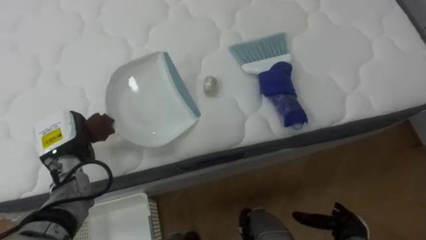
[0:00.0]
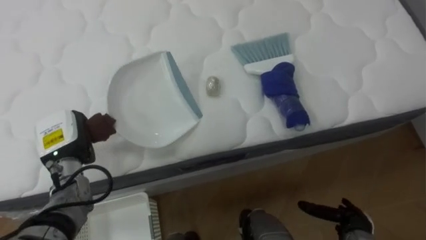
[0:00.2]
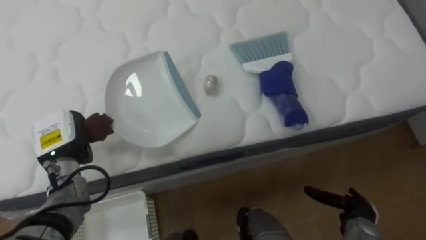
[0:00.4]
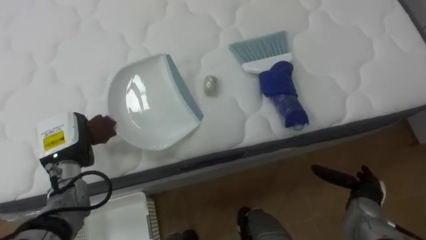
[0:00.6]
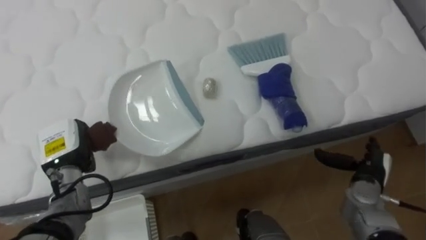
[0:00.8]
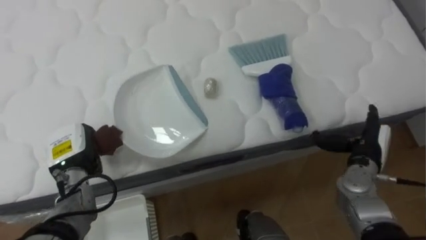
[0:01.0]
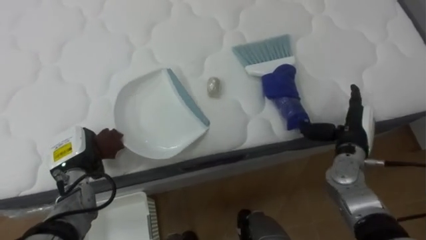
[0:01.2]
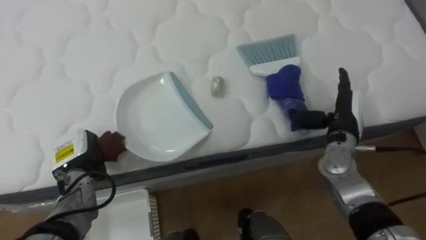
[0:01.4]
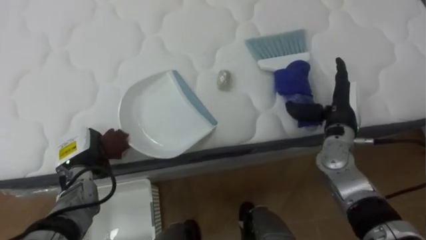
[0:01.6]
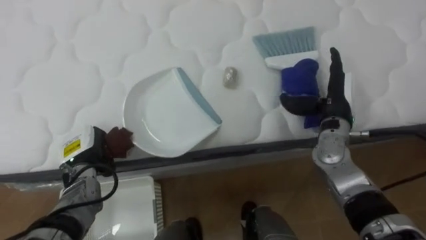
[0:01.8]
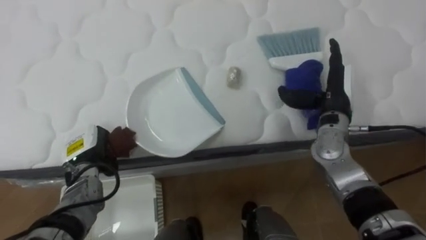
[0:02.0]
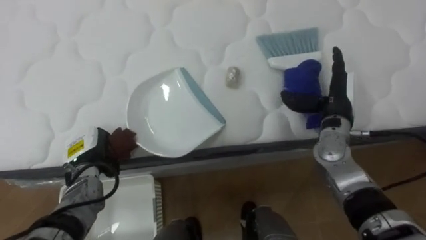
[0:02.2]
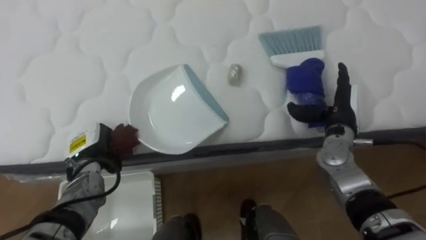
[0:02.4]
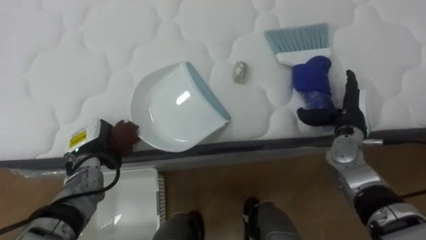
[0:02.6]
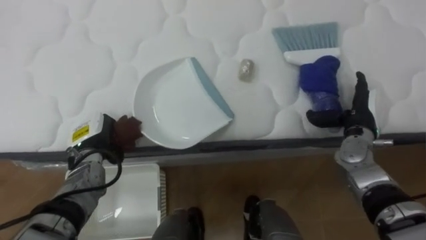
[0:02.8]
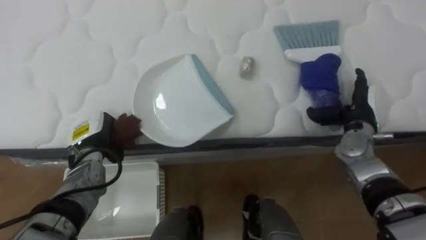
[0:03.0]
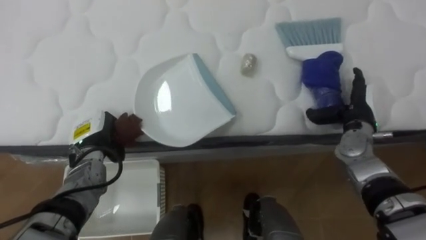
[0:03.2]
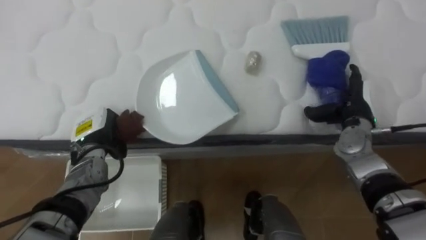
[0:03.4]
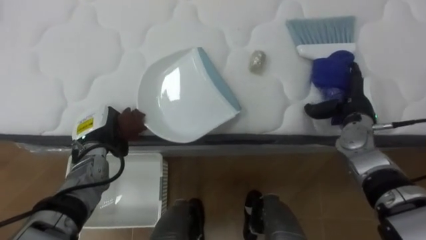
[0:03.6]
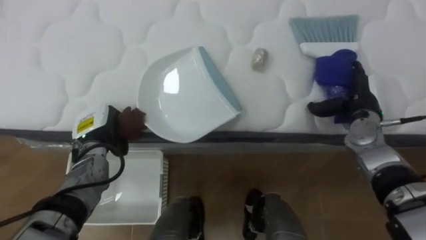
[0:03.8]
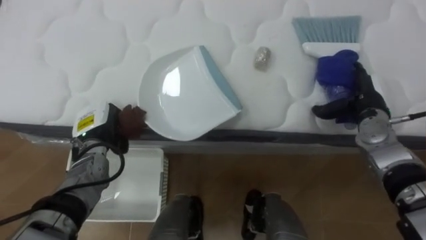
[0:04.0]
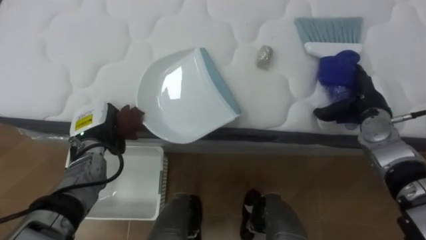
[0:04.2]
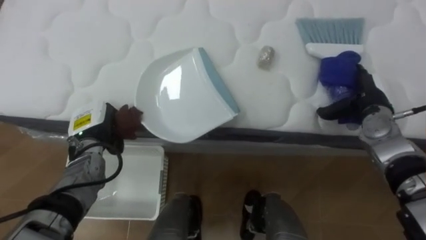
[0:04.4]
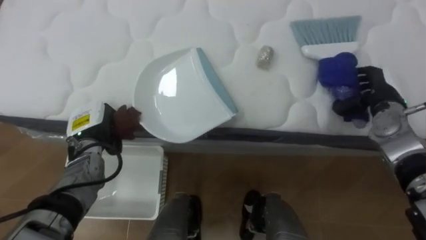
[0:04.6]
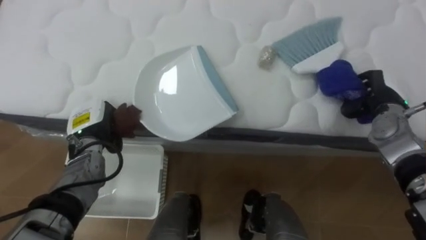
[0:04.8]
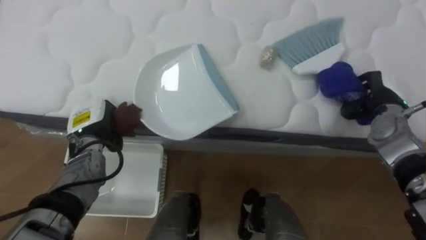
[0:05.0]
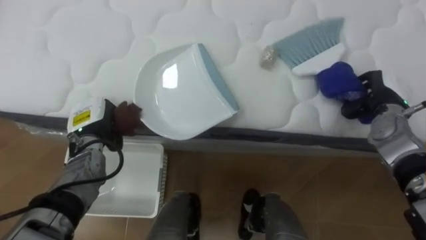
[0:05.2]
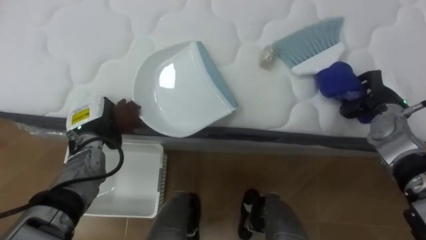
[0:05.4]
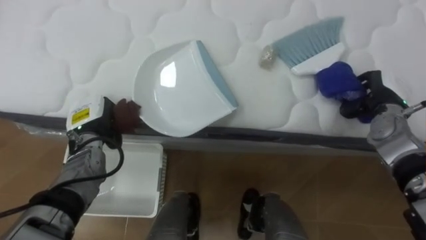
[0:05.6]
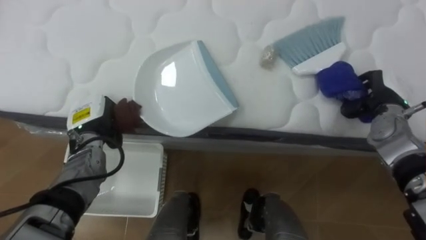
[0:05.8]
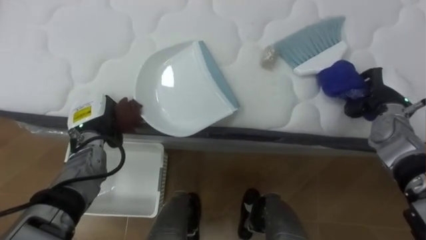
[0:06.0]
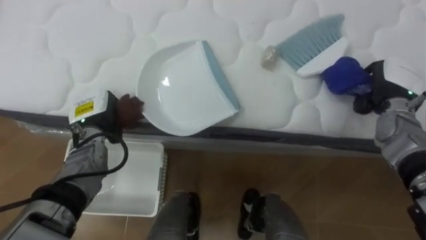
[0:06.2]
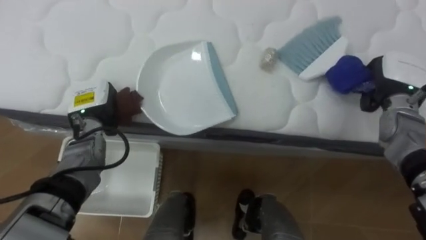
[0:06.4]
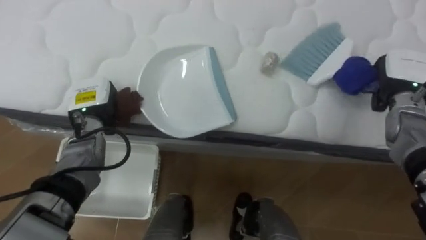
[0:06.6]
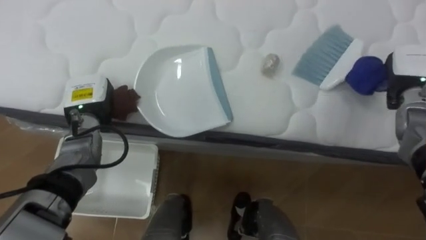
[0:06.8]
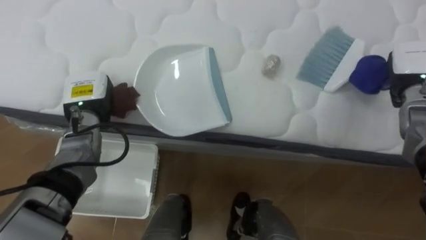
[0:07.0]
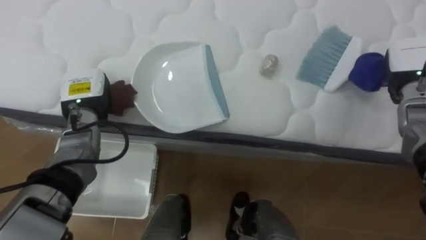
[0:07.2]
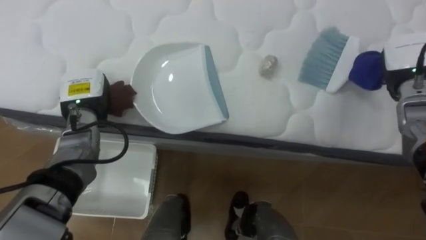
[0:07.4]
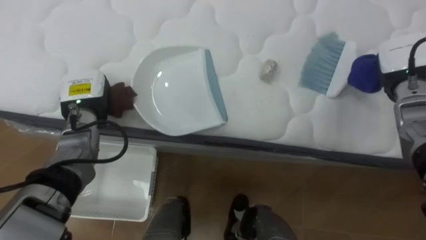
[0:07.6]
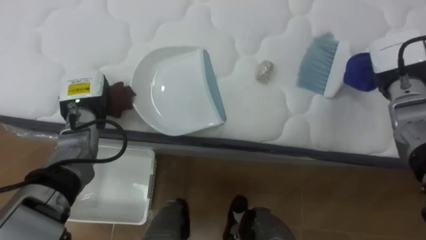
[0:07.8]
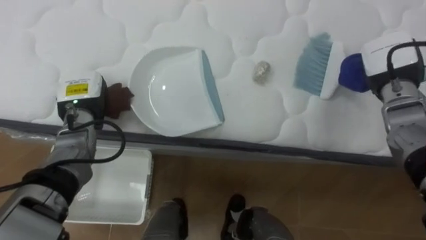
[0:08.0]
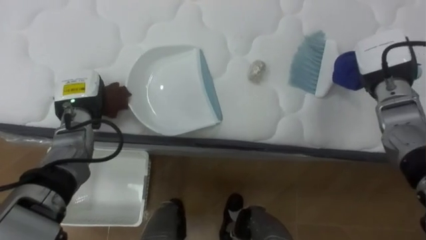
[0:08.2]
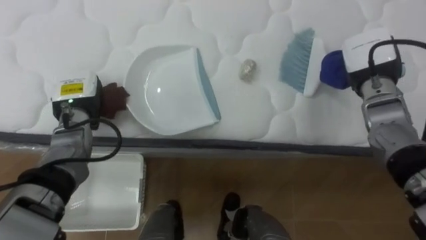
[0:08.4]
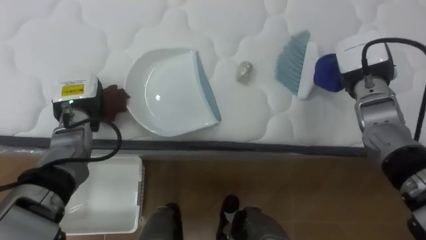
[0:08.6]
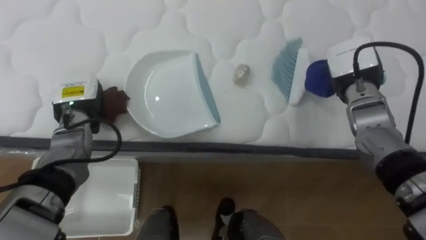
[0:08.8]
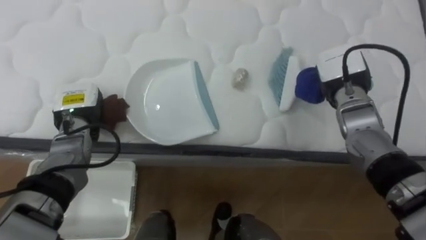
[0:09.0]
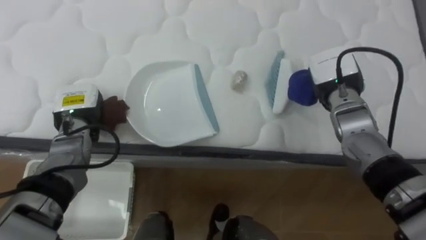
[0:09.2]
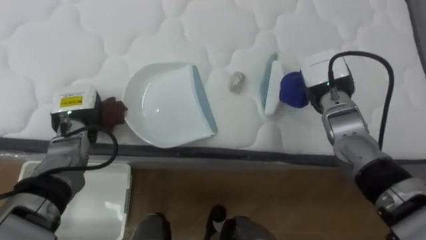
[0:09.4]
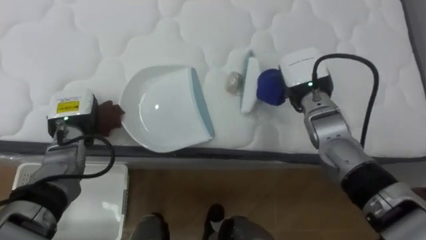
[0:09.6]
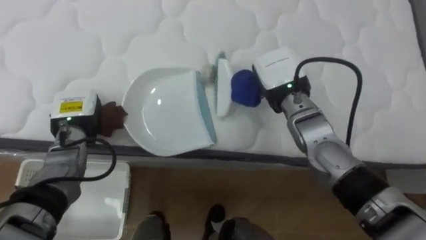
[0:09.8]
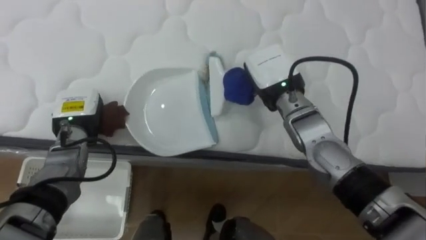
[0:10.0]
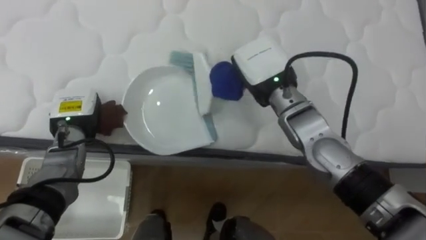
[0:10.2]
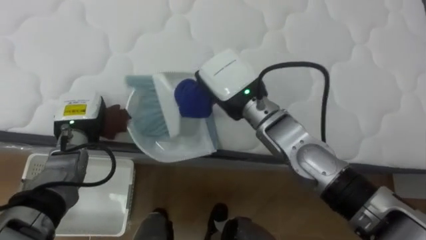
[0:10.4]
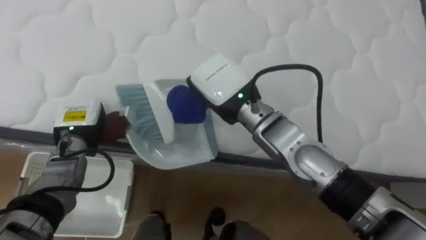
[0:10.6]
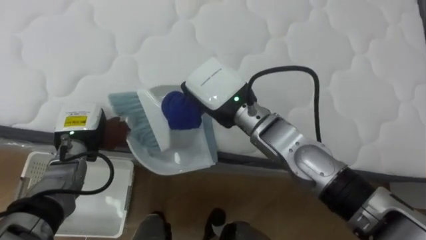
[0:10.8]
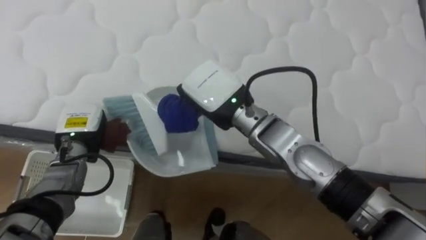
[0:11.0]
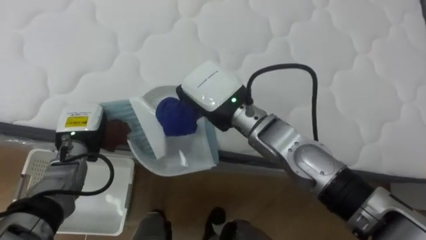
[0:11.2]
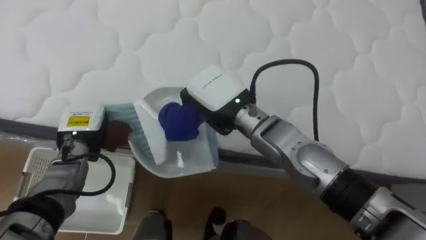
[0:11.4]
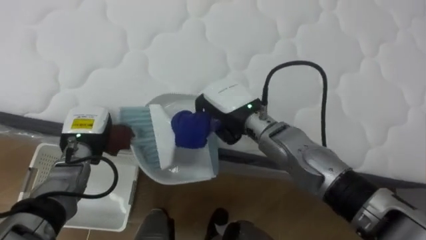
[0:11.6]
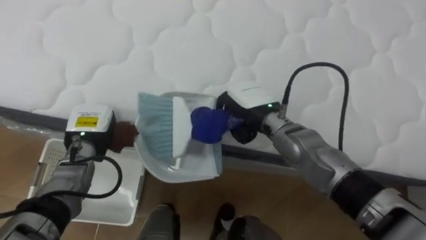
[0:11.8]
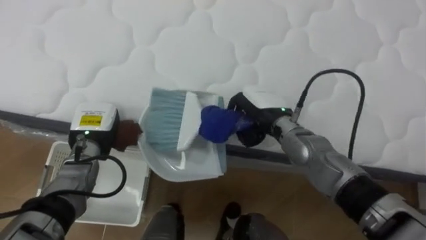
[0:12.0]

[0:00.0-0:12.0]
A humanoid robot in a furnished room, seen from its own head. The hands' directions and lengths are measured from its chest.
Task of the whole recording: Pick up the brush on your right and the dustpan on your left. Use the brush to sweep the crumpled paper on the bed into the dustpan, then turn left and empty it into the basket.
0:00.0 to 0:01.6: The right hand shifts roughly 25 cm upward and forward.
0:01.6 to 0:03.0: The right hand ends up some 5 cm from where it was.
0:04.4 to 0:06.0: The right hand closes.
0:06.0 to 0:07.6: The right hand moves upward, about 5 cm, while the left hand moves about 5 cm.
0:07.6 to 0:09.0: The right hand shifts some 10 cm to the left.
0:09.0 to 0:10.4: The right hand shifts about 20 cm to the left.
0:10.4 to 0:12.0: The right hand shifts about 10 cm downward and to the right.

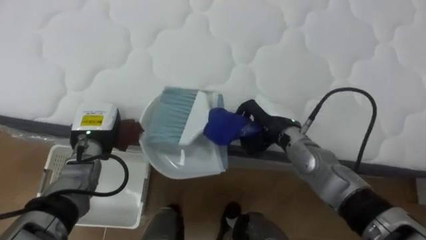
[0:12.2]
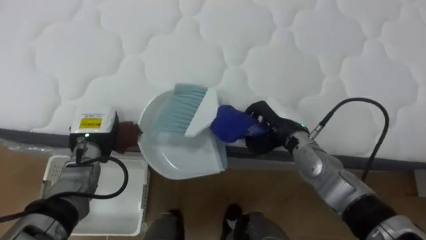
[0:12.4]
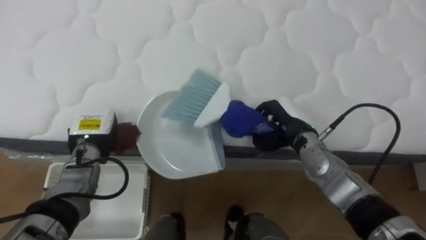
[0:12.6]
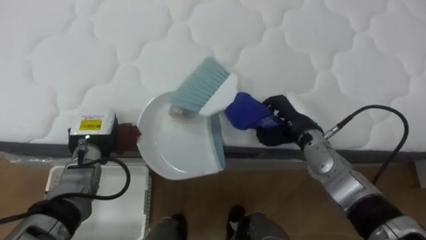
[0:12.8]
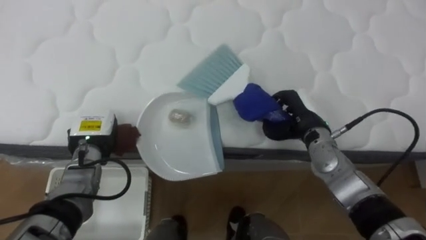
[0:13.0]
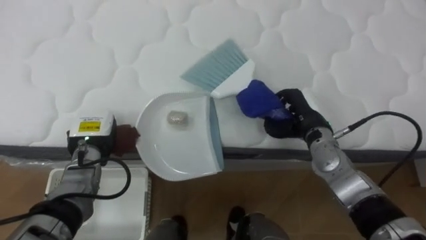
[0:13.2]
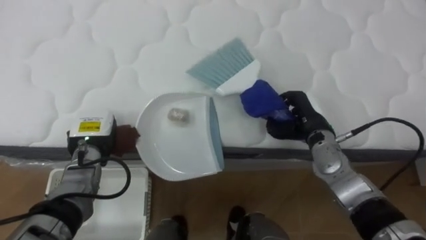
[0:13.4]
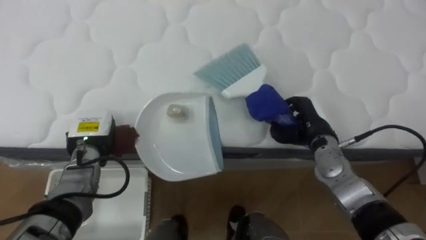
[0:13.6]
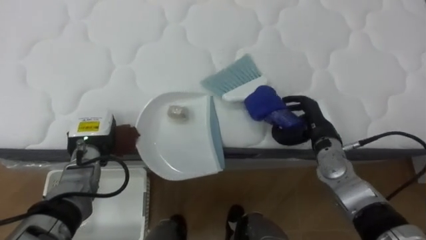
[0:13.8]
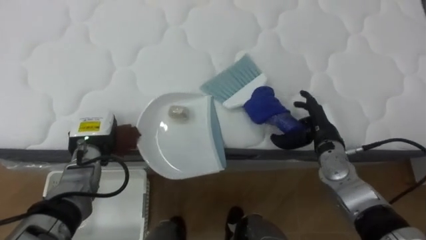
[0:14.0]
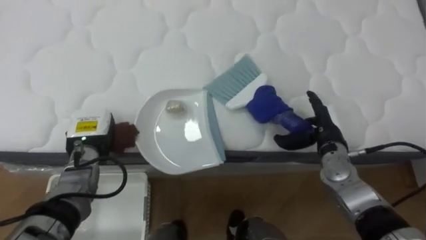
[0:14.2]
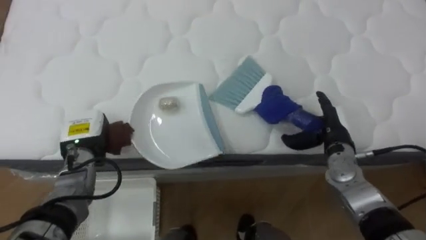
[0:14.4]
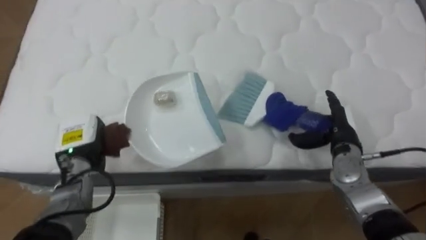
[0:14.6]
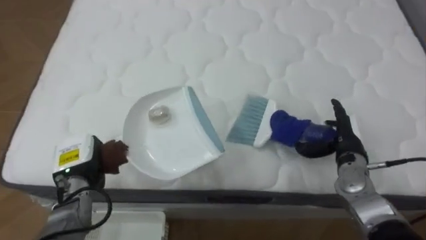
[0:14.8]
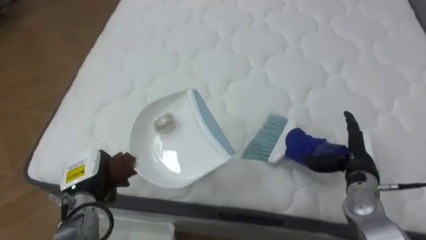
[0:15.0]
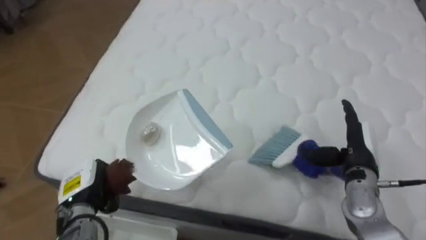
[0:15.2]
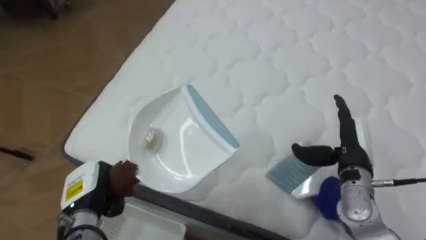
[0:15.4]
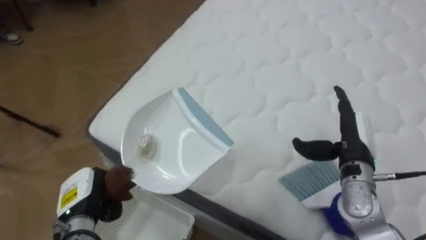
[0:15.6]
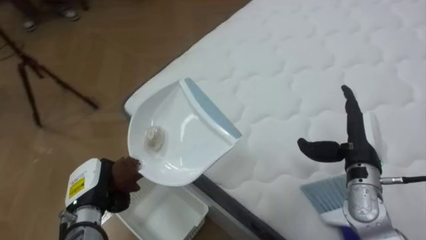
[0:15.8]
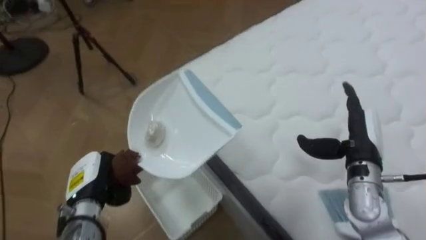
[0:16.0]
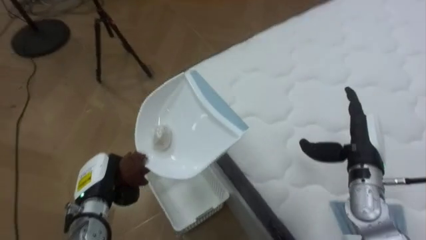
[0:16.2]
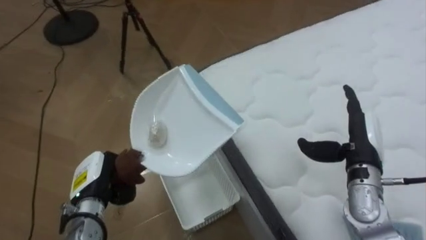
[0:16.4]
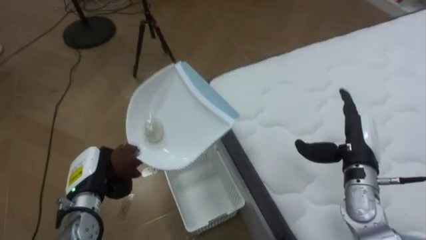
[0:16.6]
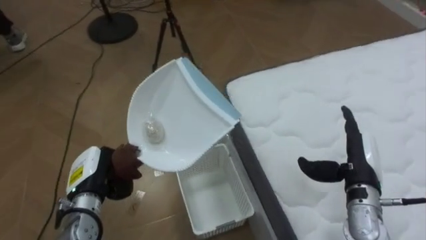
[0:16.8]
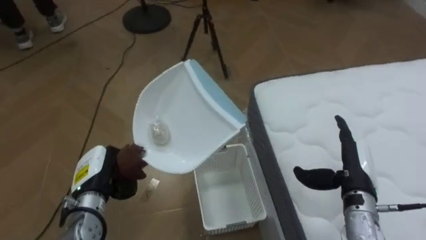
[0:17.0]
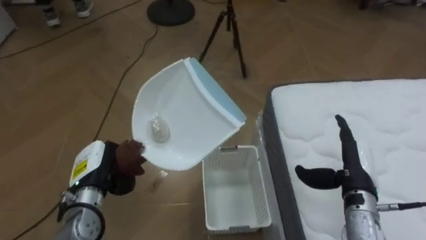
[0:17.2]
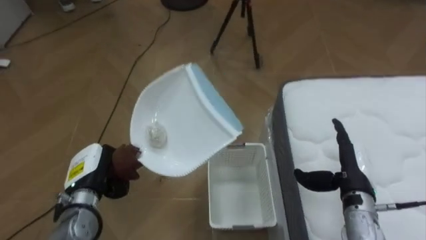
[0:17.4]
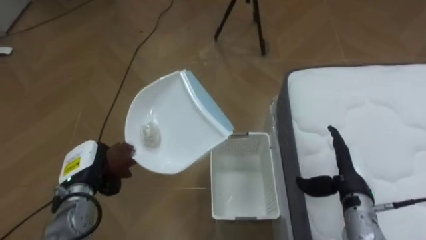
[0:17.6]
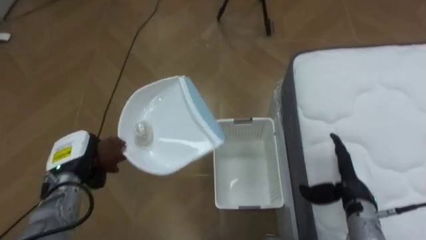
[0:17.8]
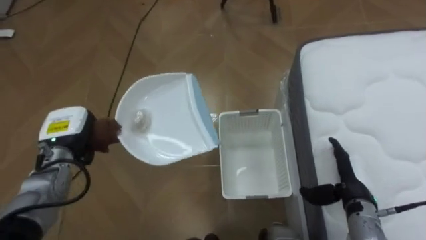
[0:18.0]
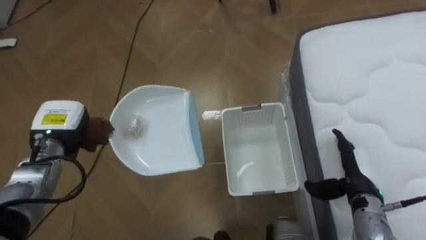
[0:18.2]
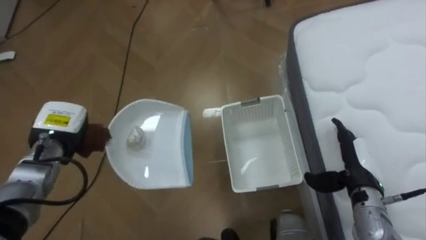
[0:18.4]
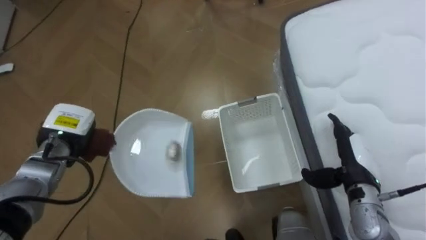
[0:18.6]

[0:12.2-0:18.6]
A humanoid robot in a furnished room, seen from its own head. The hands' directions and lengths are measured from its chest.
Task of the whole recording: Pick up the brush on your right and the dustpan on your left. Use the brush to sweep the crumpled paper on the bed into the dustpan, then turn left and empty it into the basket.
0:12.2 to 0:13.8: The right hand travels to the right by about 10 cm.
0:13.8 to 0:15.4: The robot faces approximately 15 degrees further to its left. The left hand goes about 10 cm backward; the right hand travels backward by about 5 cm, and opens its fingers.
0:15.4 to 0:17.0: The robot rotates roughly 65 degrees to its left.
0:17.0 to 0:18.6: The left hand moves forward and to the left, roughly 10 cm.
